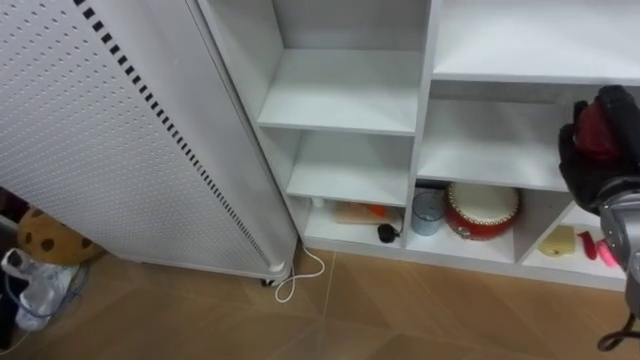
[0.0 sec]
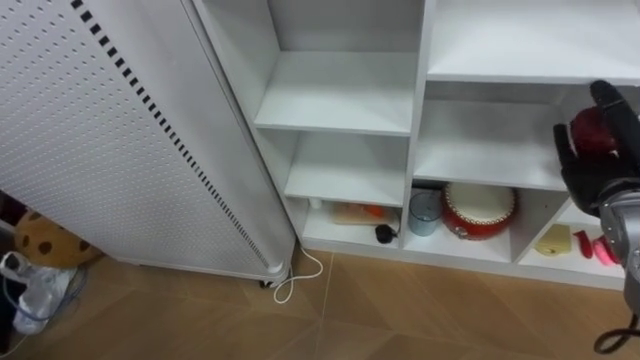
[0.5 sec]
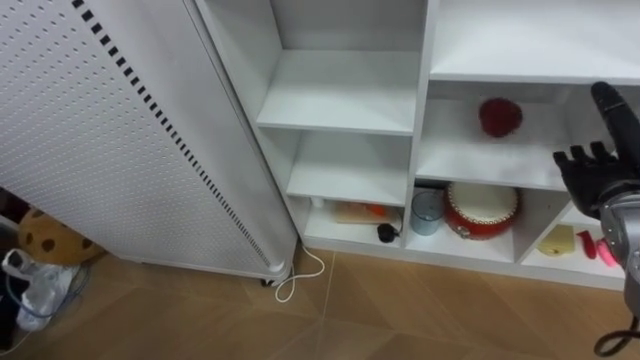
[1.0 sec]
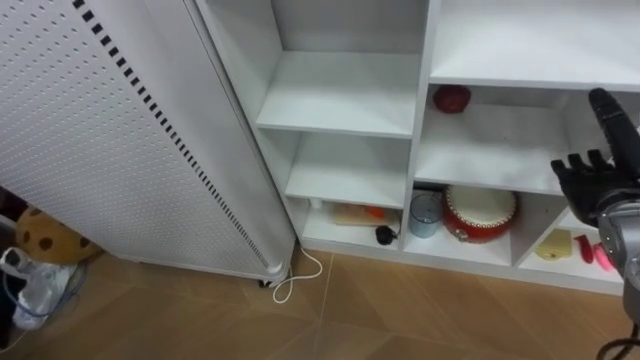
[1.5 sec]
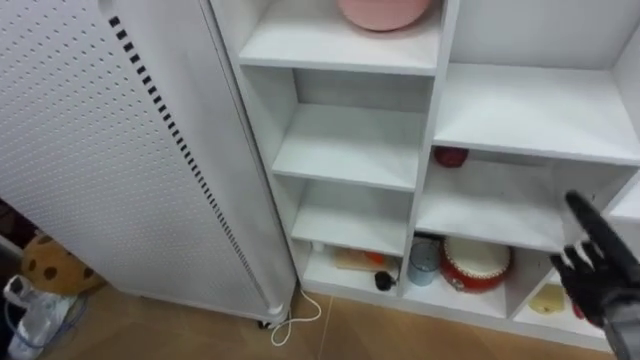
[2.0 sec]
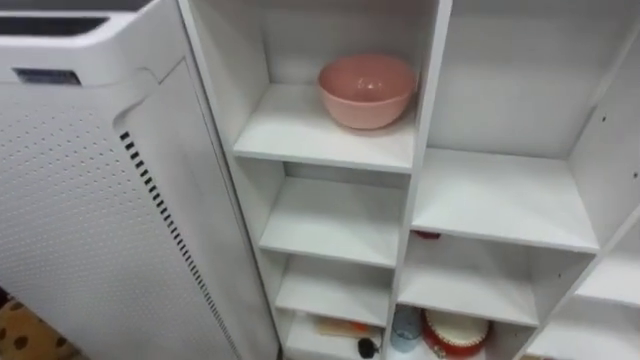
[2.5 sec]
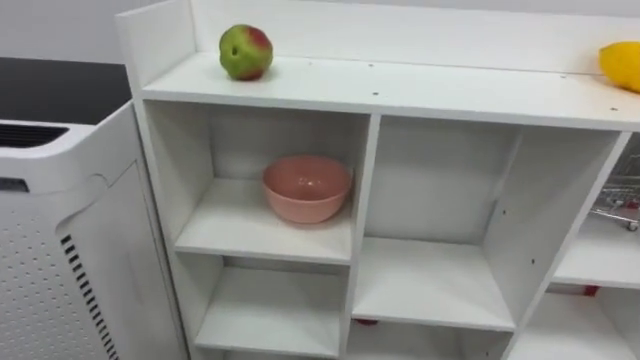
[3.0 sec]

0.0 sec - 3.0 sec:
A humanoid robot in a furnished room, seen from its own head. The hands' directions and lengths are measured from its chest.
Task of the whole recording: Put the apple in the cell in the second column from the left and the second row from the top.
0.0 sec - 1.5 sec: The right hand opens up.

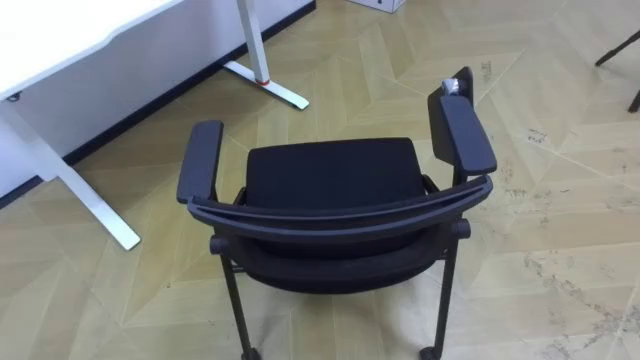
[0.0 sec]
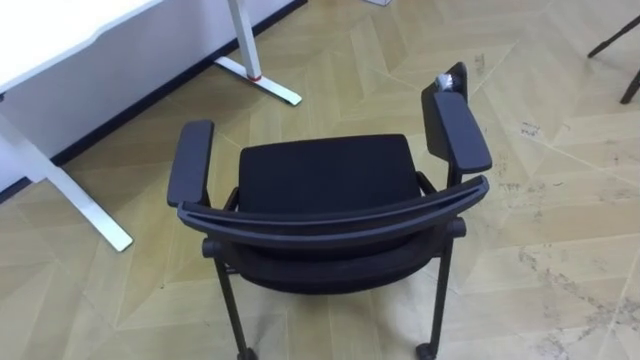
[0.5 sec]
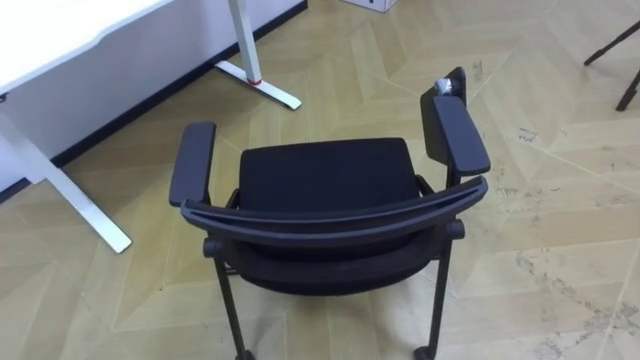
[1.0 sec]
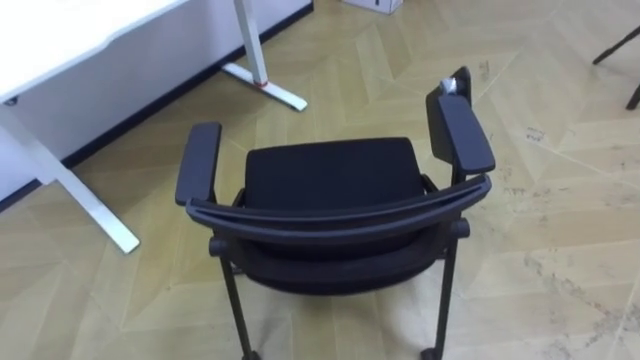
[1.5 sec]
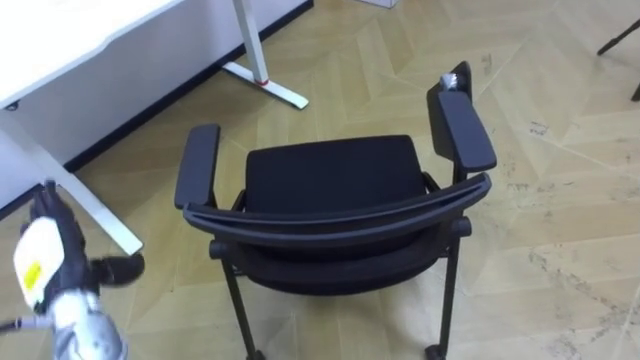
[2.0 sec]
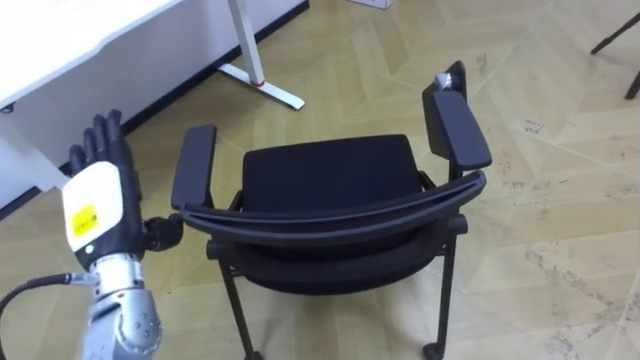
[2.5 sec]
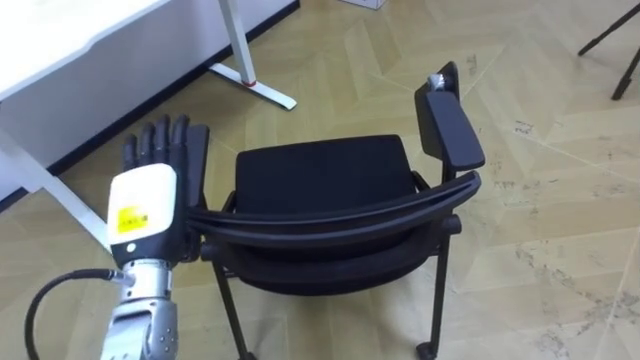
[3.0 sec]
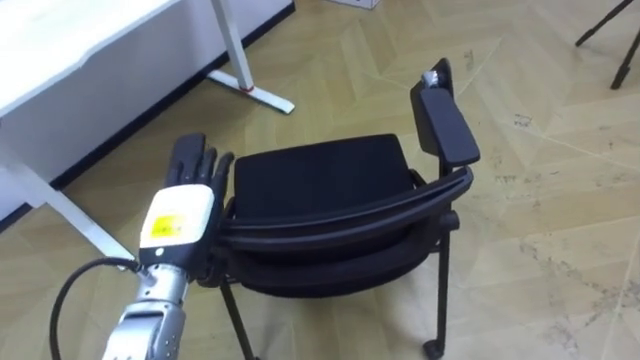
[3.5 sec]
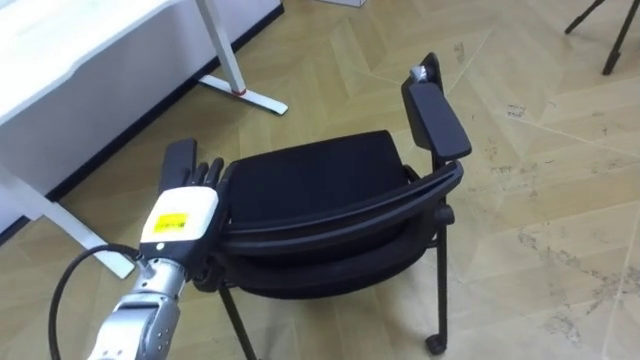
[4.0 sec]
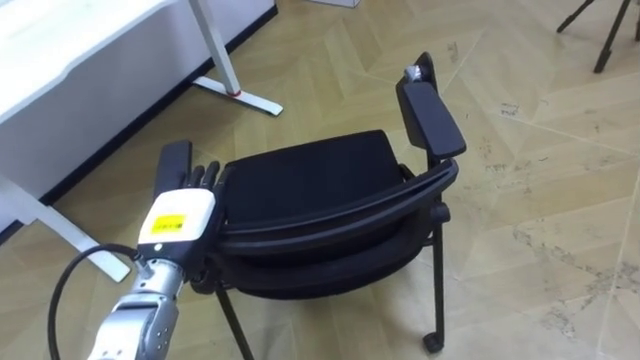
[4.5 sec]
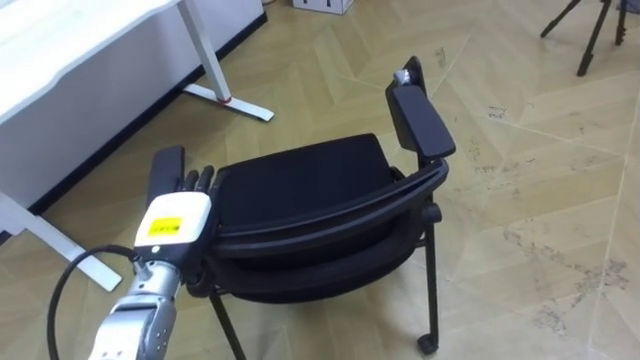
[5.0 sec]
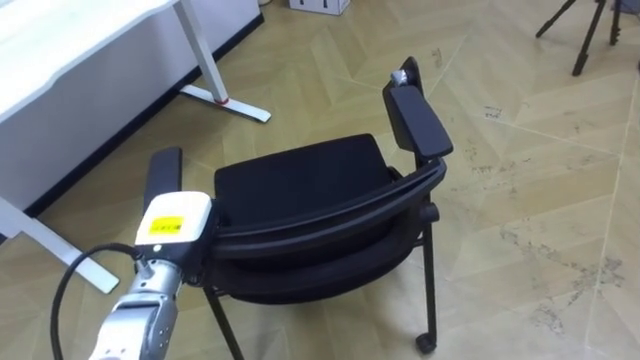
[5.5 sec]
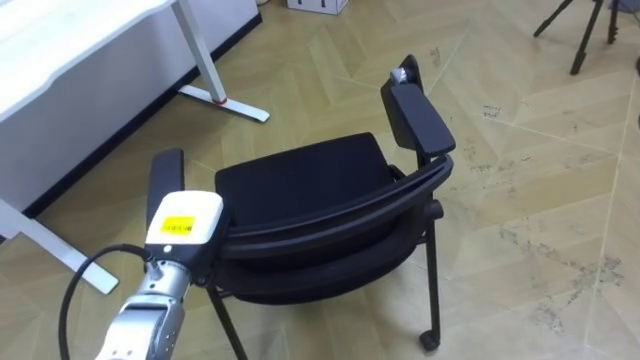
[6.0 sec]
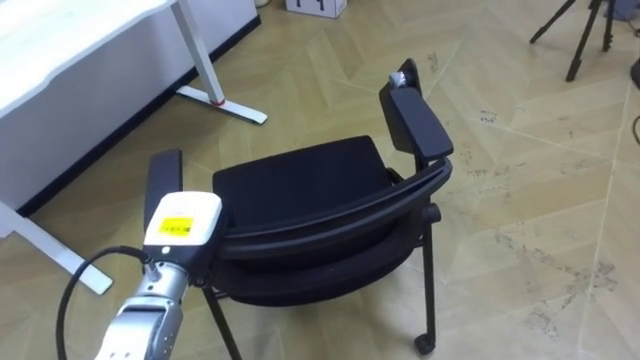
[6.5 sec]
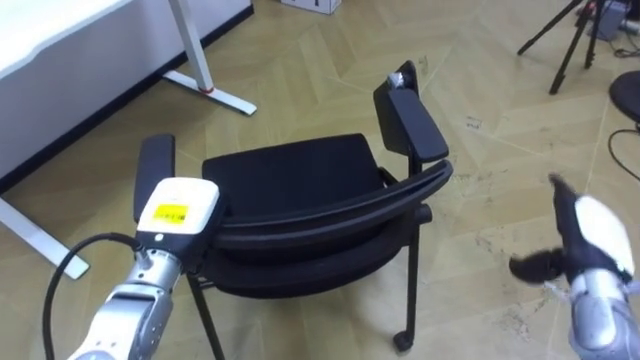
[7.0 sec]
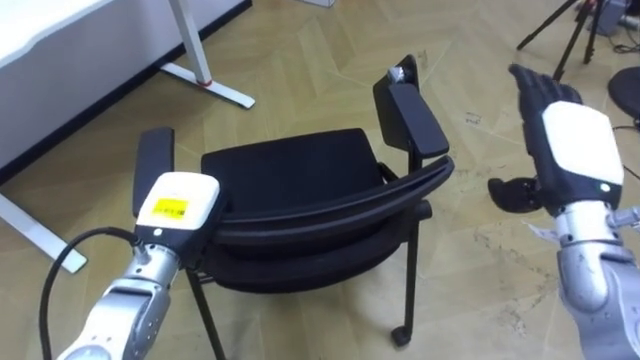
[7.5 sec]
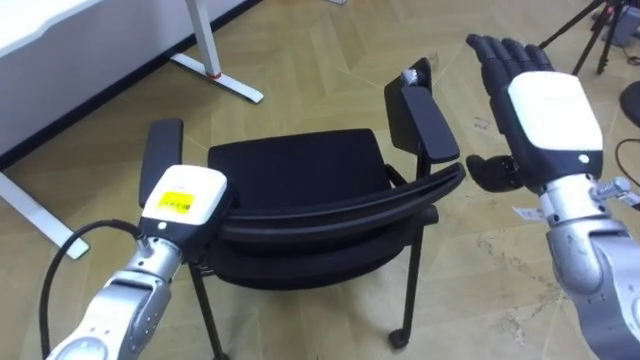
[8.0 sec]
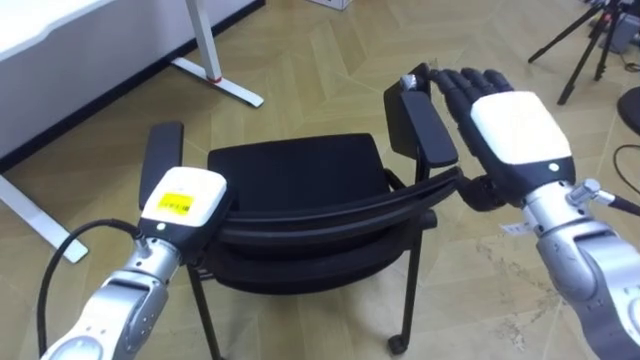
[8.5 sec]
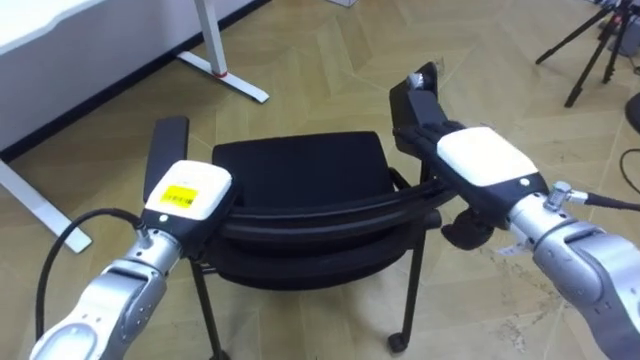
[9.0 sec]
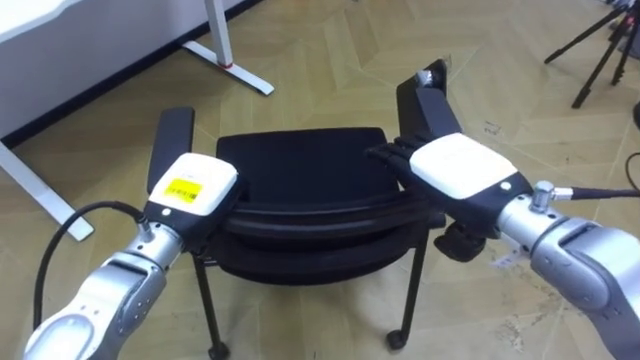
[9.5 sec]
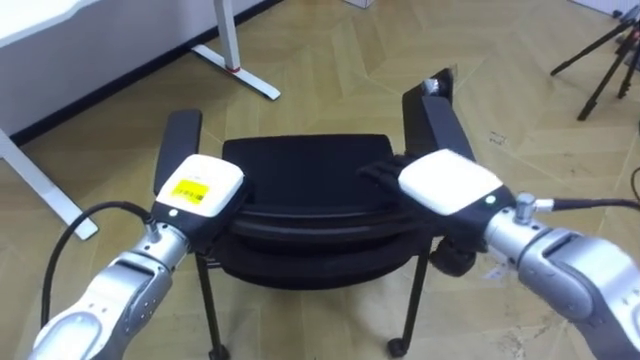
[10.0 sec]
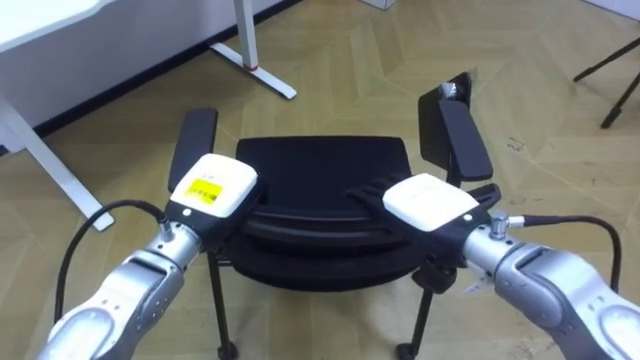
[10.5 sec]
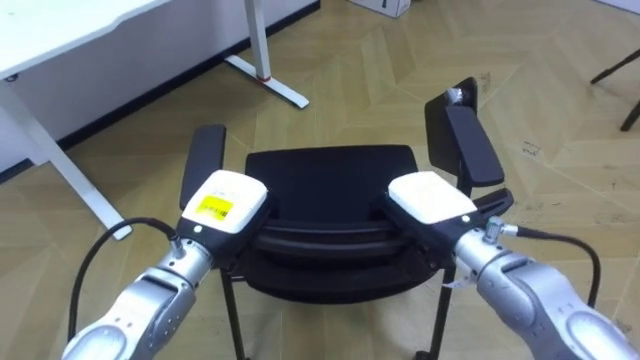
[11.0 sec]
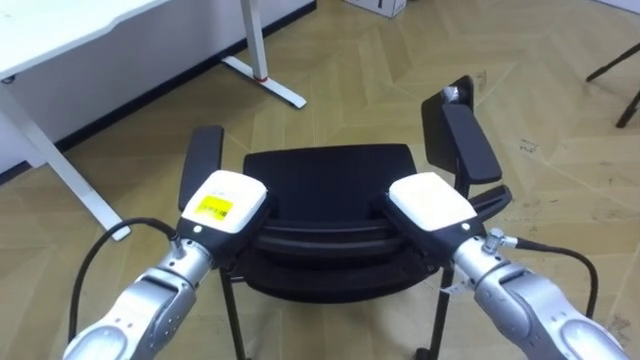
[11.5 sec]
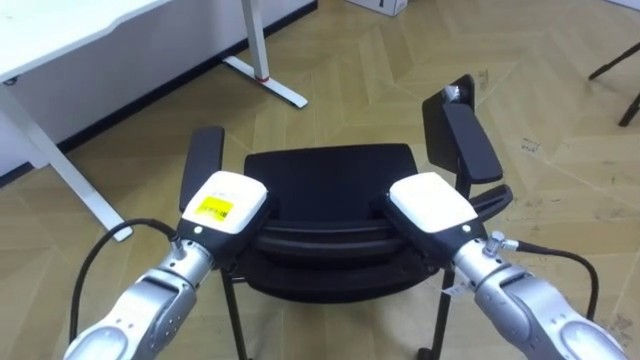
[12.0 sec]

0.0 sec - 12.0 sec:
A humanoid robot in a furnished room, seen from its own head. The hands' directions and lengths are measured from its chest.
Task of the whole recording: Push the chair under the table.
2.0 sec - 4.0 sec: The left hand is displaced to the right by about 15 cm.
4.0 sec - 6.0 sec: The left hand closes up.
8.0 sec - 10.0 sec: The right hand travels to the left and downward by approximately 10 cm.
10.0 sec - 12.0 sec: The right hand goes roughly 5 cm downward, and closes up.

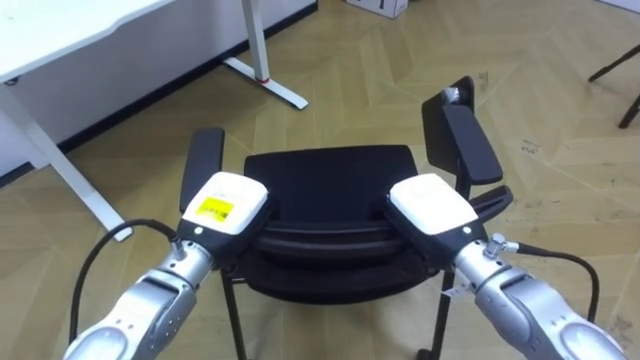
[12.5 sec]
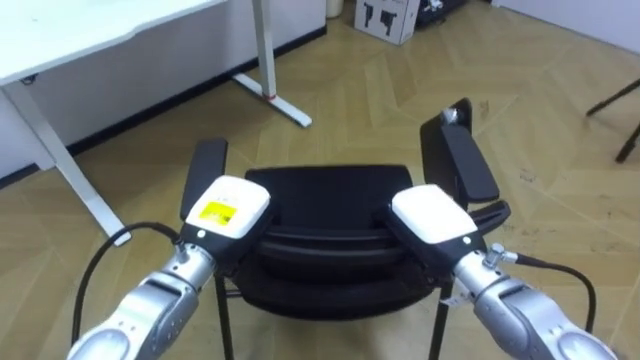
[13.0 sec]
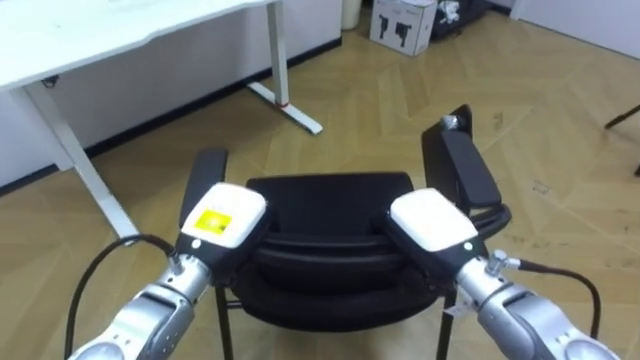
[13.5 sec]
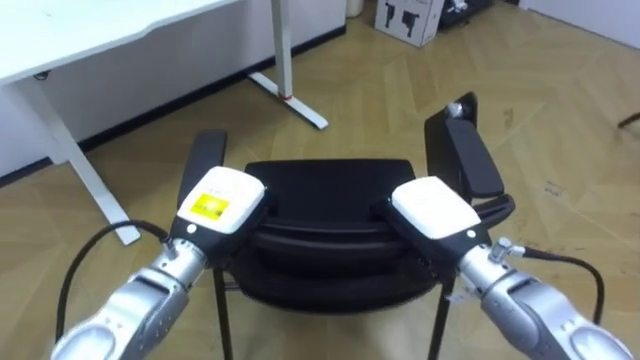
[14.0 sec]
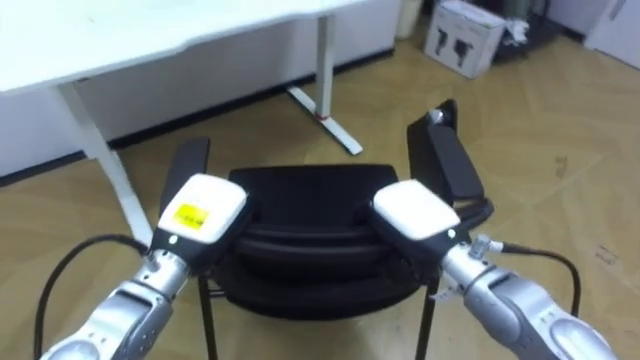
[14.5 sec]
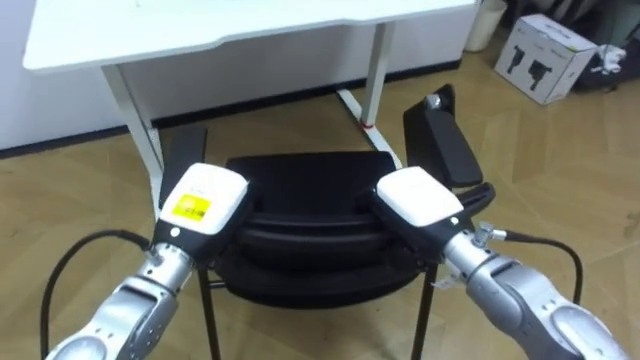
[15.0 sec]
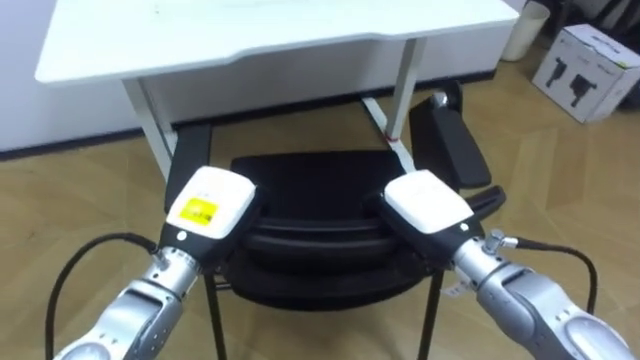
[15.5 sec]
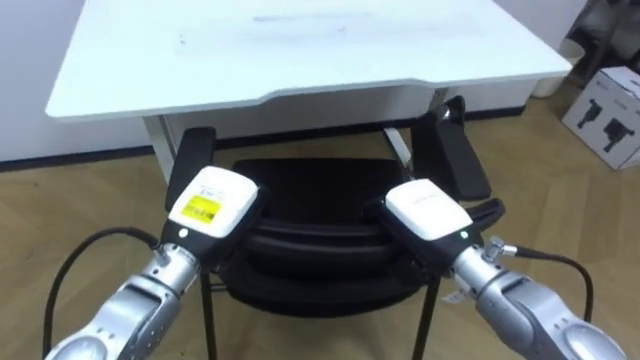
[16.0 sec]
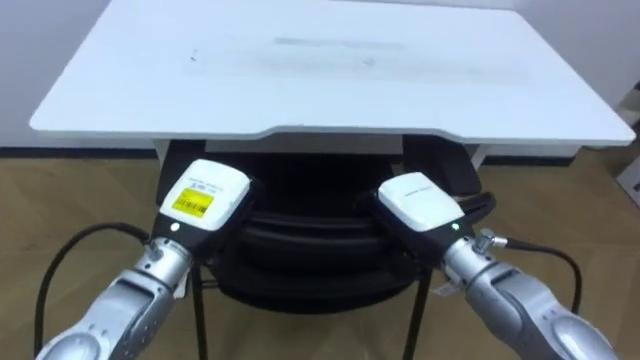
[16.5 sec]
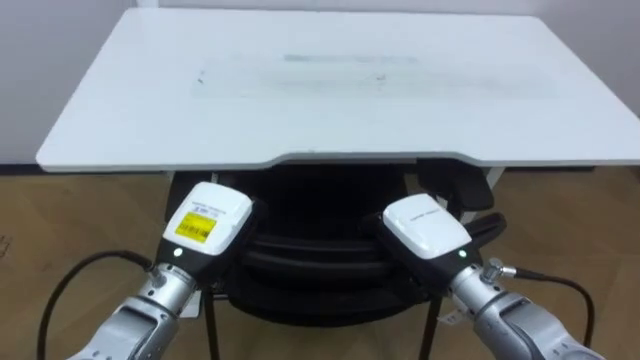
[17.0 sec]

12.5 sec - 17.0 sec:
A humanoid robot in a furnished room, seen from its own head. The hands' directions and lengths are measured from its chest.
Task of the whole recording: Push the chair under the table.
14.5 sec - 17.0 sec: The robot turns to its left by about 30 degrees.
